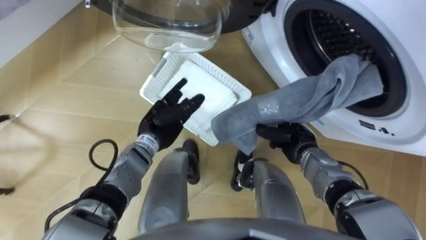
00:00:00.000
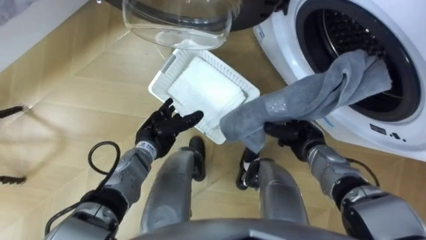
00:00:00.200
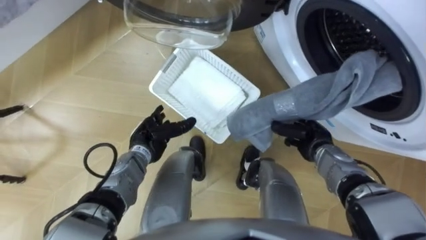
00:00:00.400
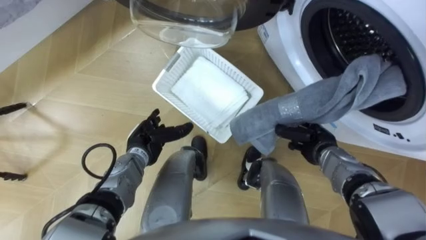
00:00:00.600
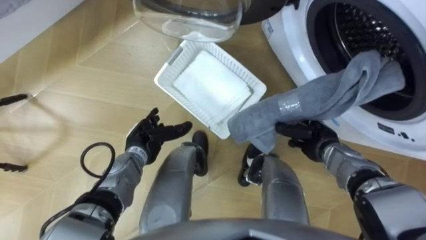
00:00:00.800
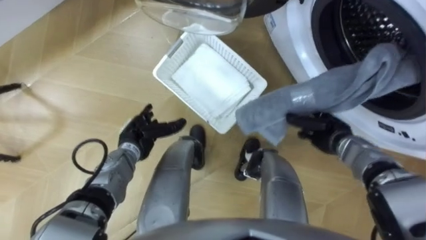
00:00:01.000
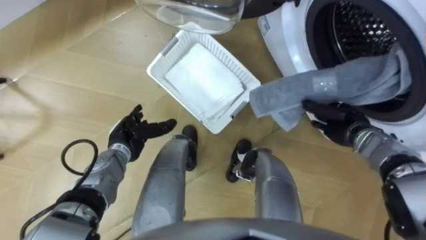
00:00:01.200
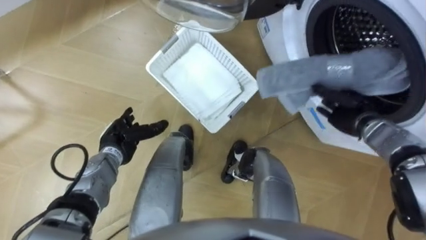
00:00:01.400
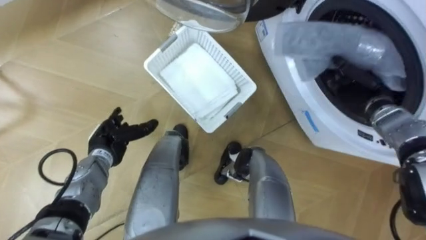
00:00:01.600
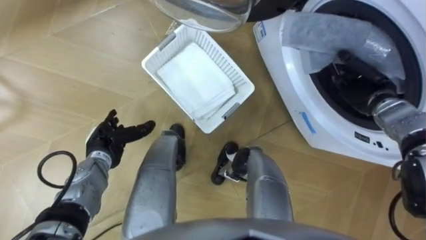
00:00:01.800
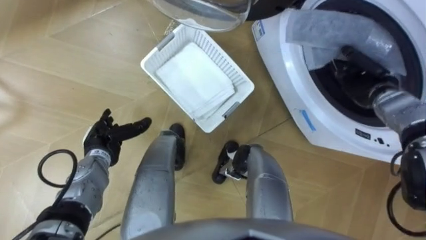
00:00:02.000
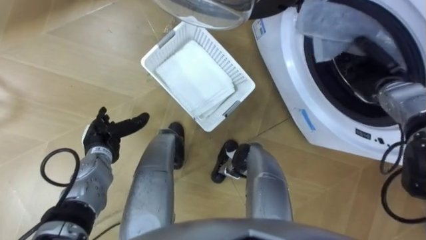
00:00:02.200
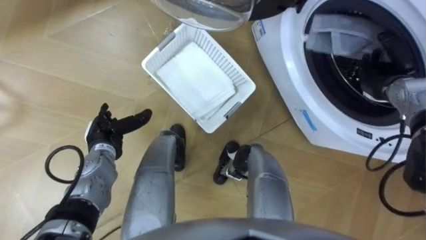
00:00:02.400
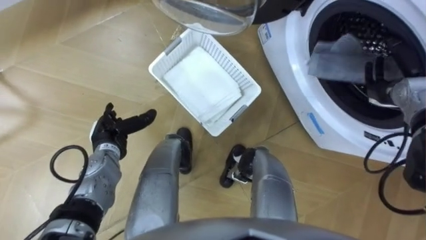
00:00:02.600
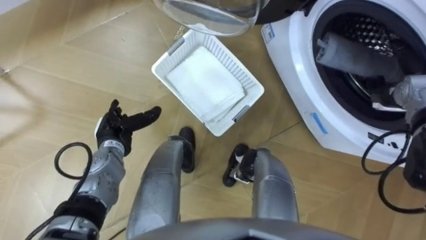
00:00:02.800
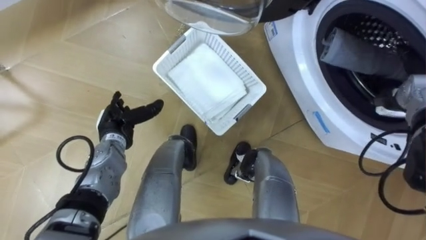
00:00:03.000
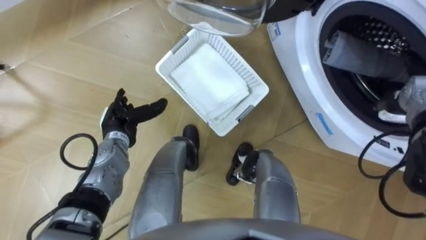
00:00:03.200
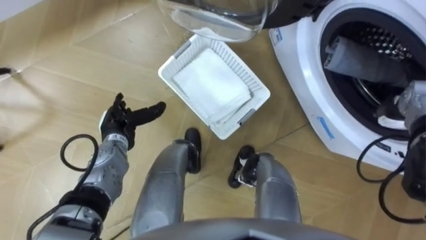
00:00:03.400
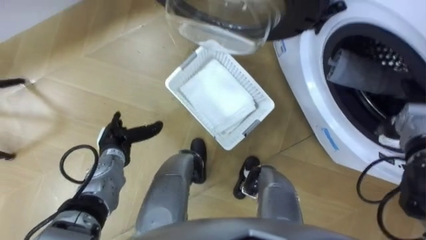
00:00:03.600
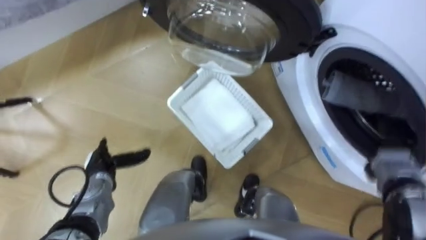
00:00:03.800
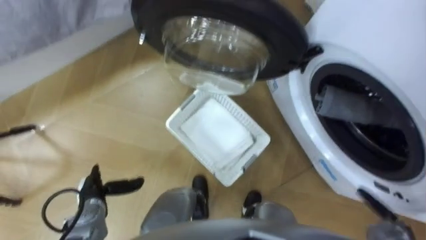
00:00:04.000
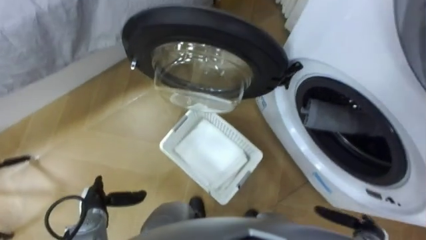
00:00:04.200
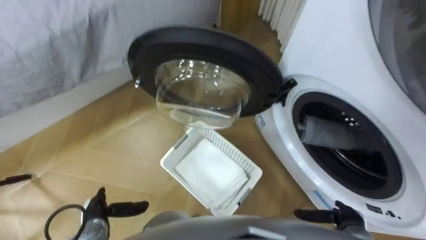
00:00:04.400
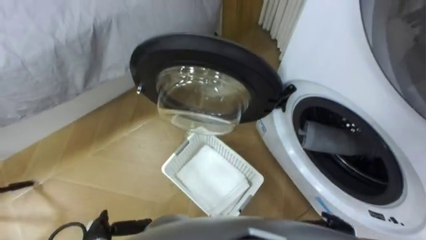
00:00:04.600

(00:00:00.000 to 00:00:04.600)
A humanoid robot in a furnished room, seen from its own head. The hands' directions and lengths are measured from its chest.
Task of the whole recording: Take the towel from the basket and put it into the washing machine.
00:00:00.000 - 00:00:01.600: The right hand is displaced to the right, upward and forward by some 20 cm. The left hand goes some 10 cm to the left.
00:00:01.600 - 00:00:03.000: The right hand is displaced to the right by roughly 5 cm, and opens up.
00:00:03.000 - 00:00:04.600: The left hand is displaced backward and downward by some 25 cm.

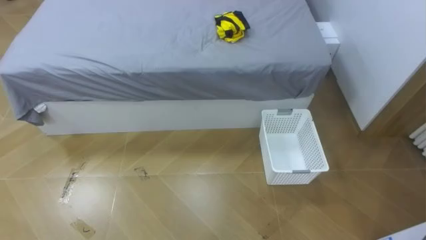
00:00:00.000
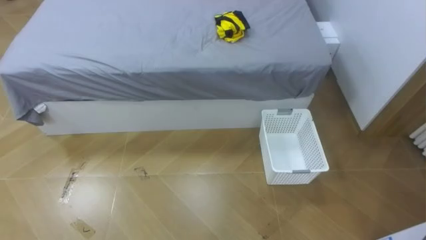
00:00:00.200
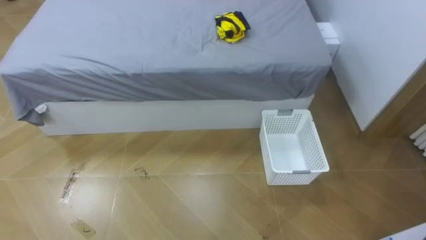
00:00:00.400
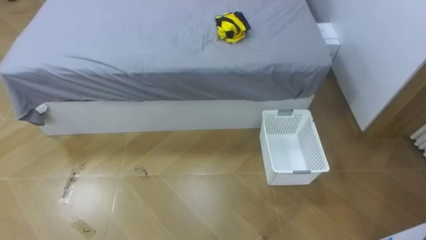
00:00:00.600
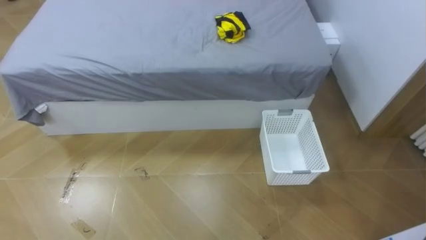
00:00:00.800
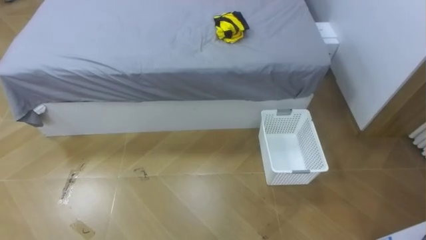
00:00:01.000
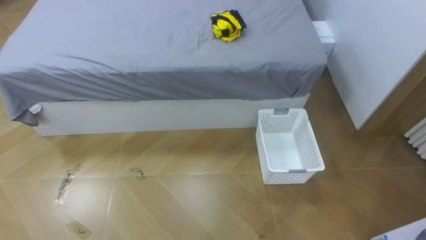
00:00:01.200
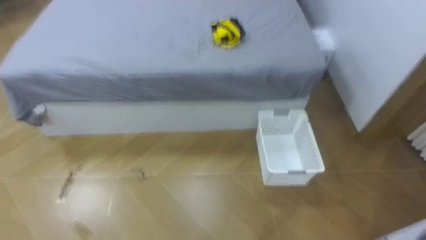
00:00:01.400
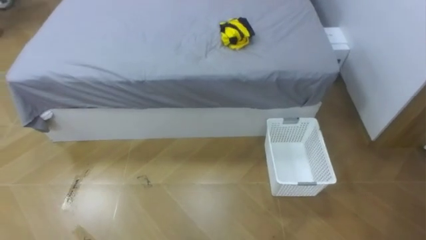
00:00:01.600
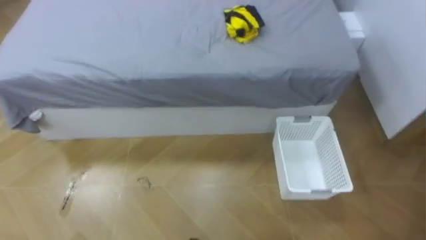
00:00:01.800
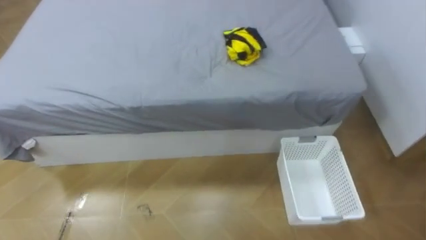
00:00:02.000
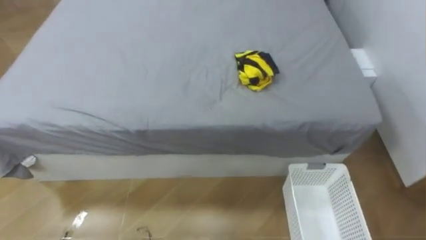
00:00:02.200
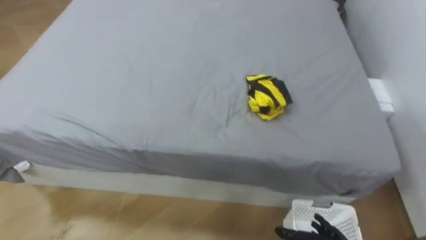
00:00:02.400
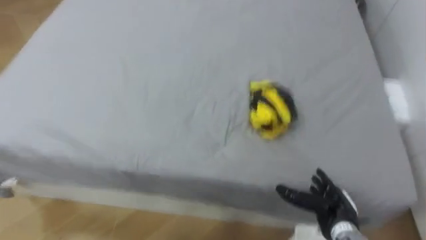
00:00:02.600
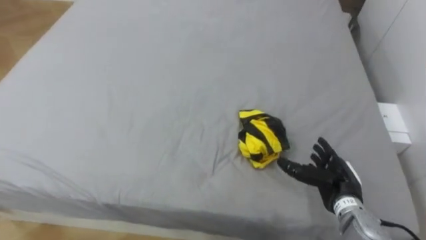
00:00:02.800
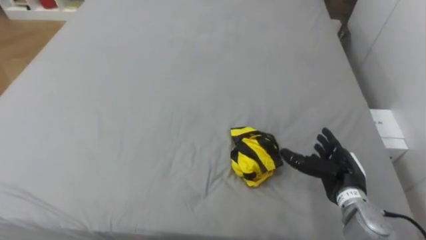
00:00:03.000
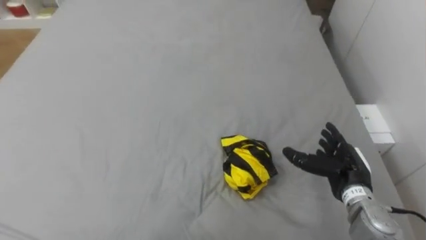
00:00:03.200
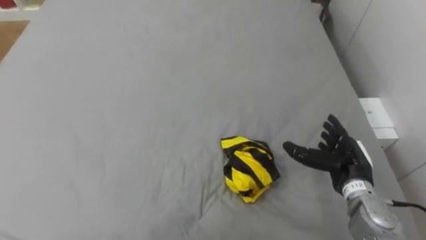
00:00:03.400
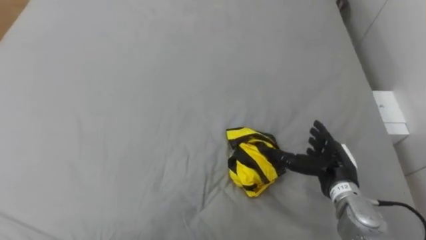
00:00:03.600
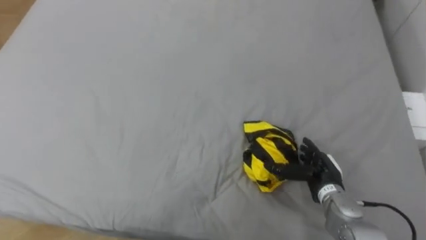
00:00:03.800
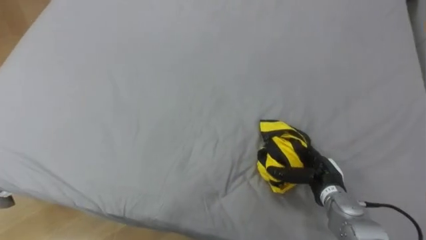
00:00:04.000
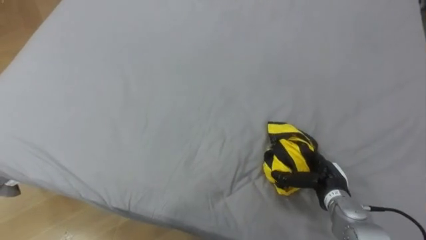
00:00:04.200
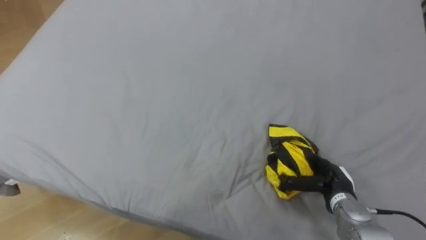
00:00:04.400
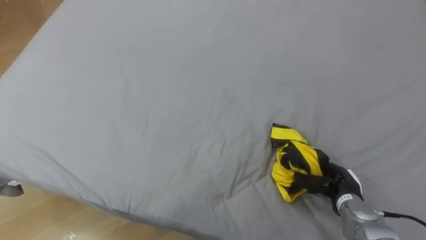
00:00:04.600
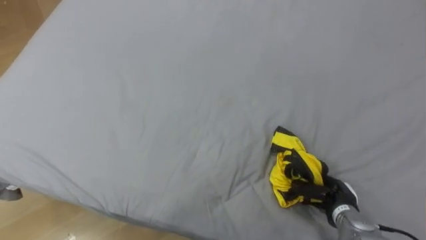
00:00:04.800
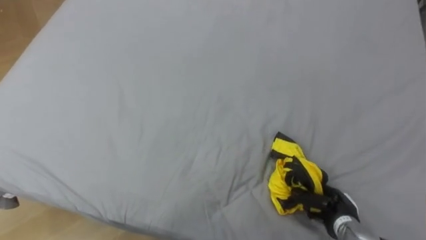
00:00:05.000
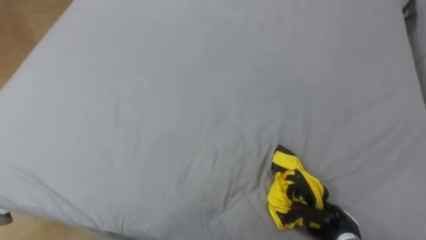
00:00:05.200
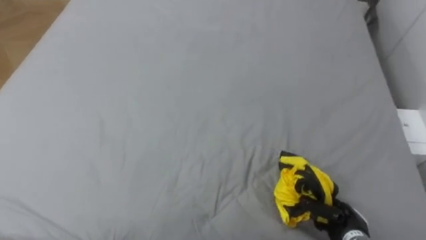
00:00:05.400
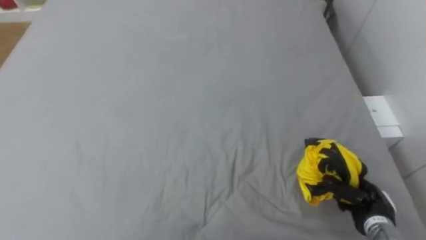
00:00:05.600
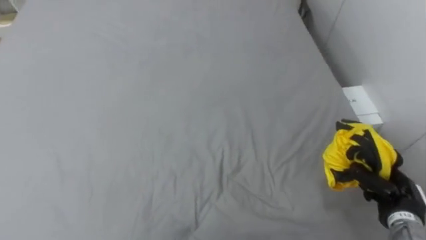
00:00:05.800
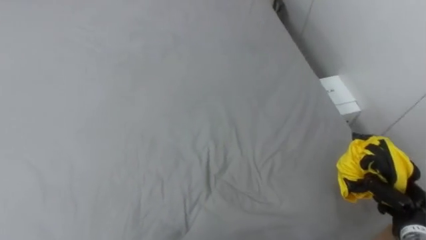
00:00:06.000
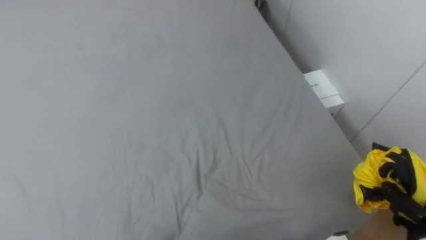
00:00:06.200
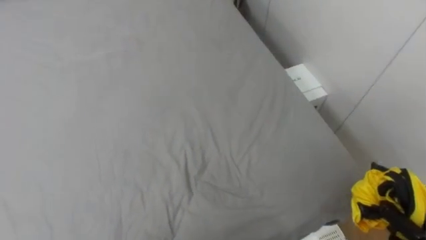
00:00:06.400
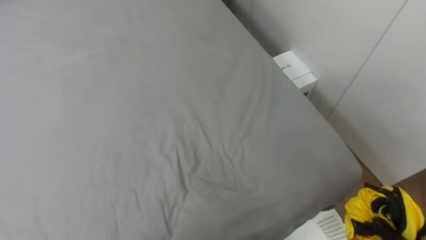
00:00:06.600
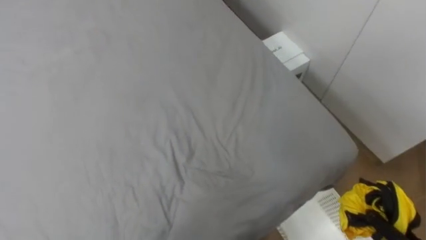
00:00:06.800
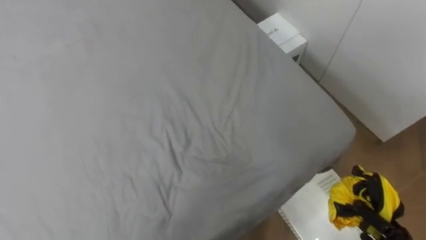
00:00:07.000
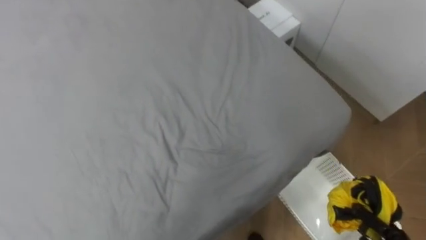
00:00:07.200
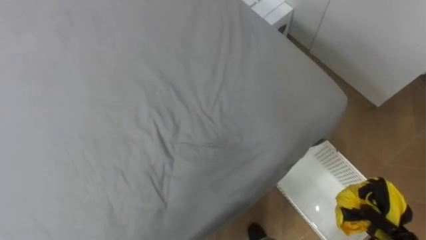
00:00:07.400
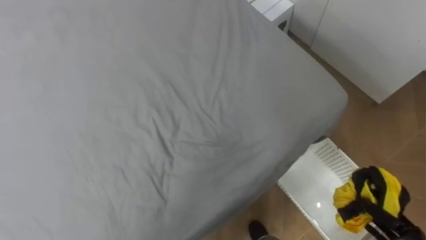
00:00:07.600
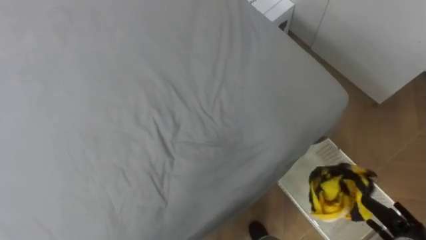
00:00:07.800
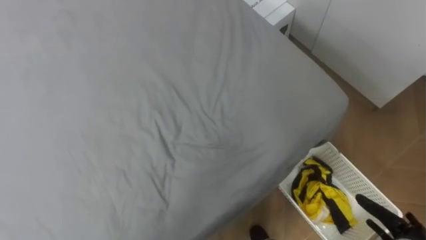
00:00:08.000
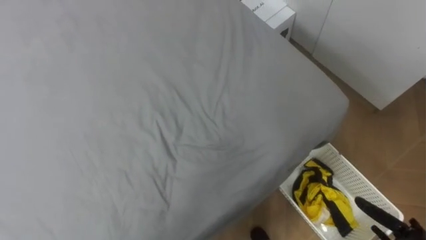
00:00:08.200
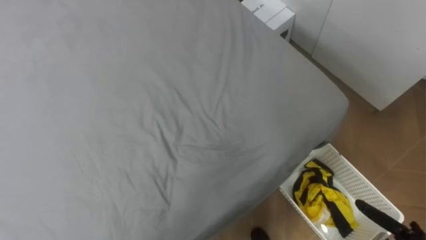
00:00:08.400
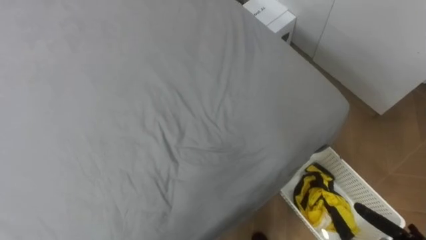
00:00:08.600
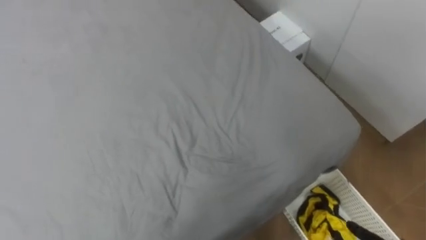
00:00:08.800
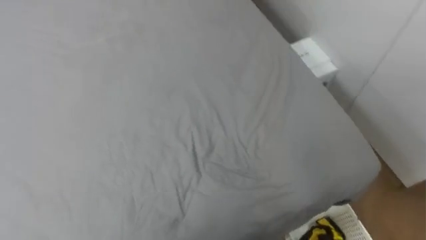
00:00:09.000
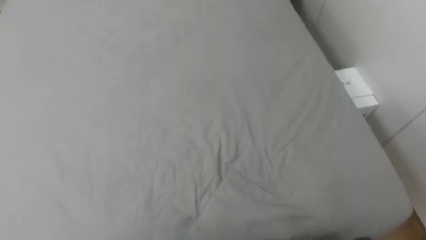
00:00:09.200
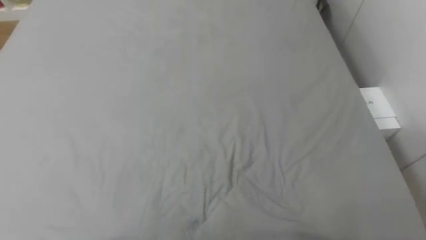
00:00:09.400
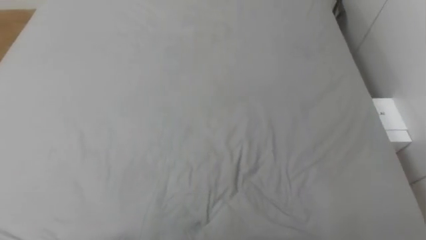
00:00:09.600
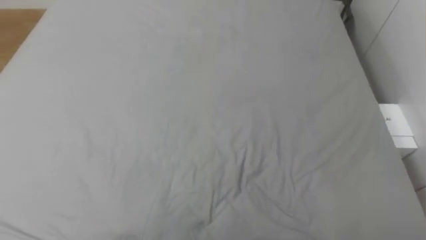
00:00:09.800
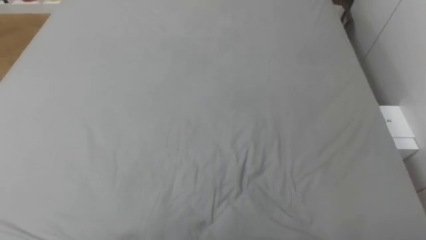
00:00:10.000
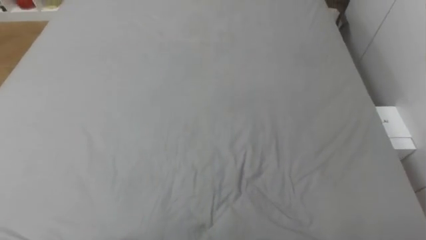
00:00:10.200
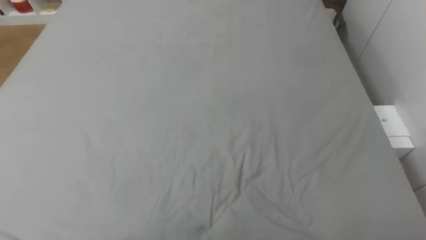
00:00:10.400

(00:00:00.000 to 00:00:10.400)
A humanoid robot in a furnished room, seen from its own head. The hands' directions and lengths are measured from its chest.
Task of the whole recording: Pick up the yellow clothes on the bed and place them into the white basket on the right.
00:00:03.000 - 00:00:04.400: The right hand shifts roughly 5 cm downward.
00:00:04.400 - 00:00:06.000: The right hand shifts roughly 15 cm to the right and backward, and closes its fingers.
00:00:06.000 - 00:00:07.400: The robot turns to its right by some 15 degrees.

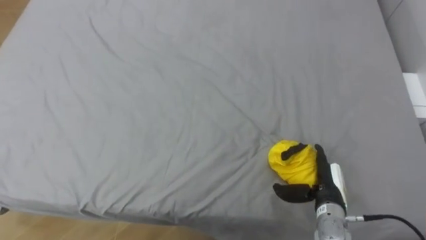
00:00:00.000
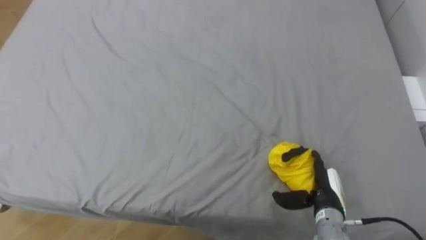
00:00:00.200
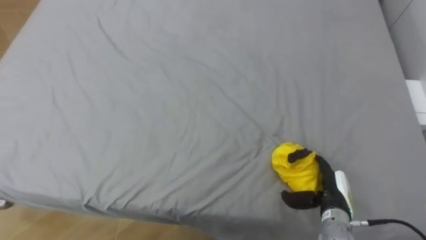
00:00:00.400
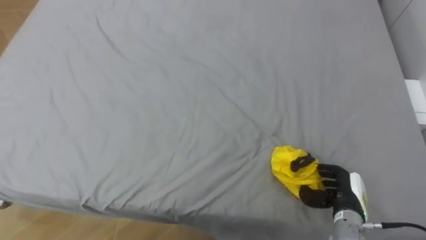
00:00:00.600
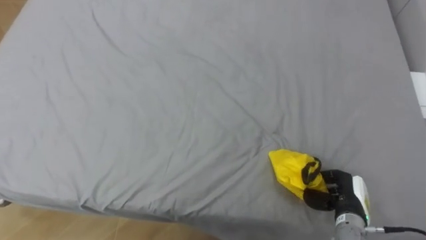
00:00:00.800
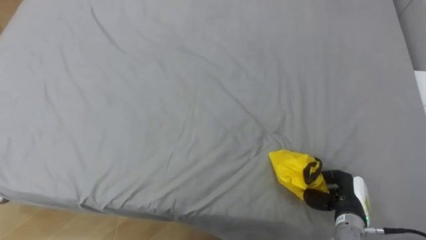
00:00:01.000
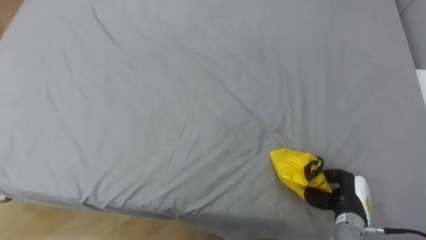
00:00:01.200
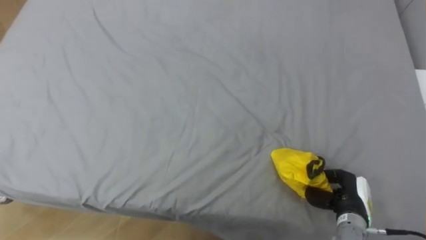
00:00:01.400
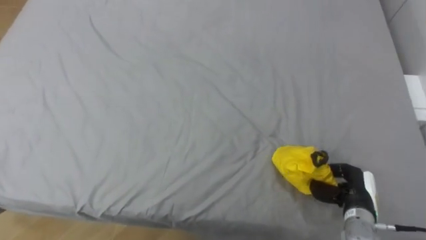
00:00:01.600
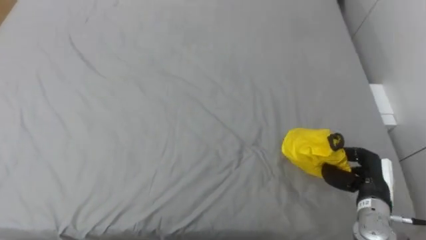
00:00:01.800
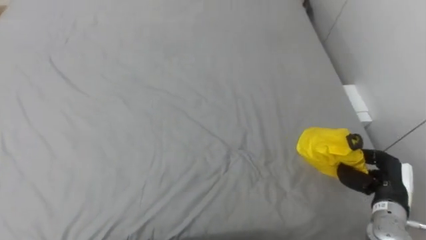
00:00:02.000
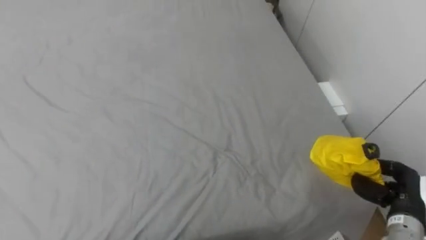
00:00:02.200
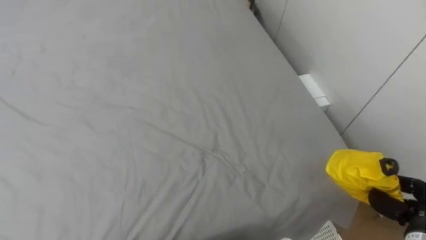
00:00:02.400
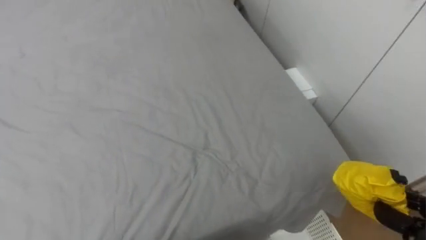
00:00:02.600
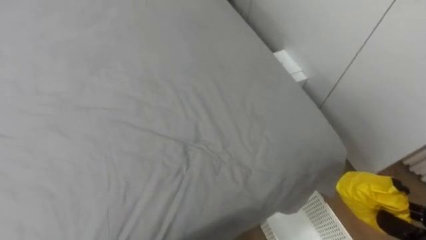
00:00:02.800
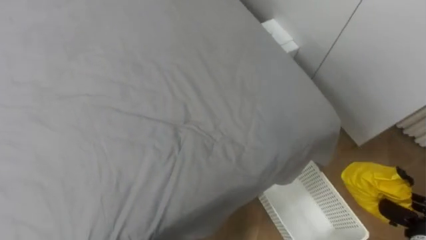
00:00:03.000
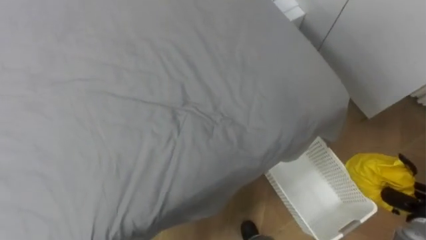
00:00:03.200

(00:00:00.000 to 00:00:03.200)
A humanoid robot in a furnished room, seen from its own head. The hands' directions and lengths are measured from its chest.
Task of the whole recording: Pick up the yellow clothes on the bed and place them into the white basket on the right.
00:00:00.000 - 00:00:01.600: The right hand is displaced to the right by approximately 5 cm, and closes.
